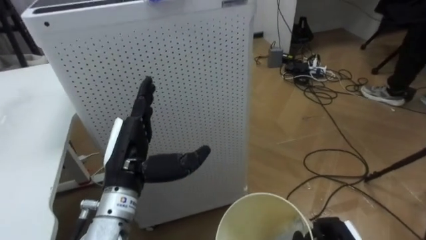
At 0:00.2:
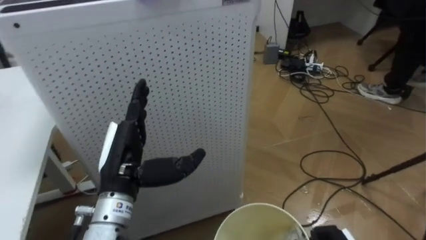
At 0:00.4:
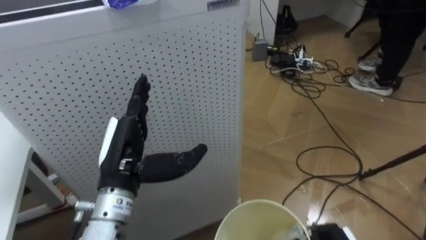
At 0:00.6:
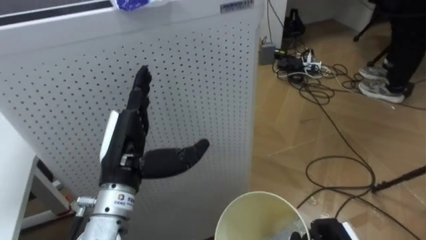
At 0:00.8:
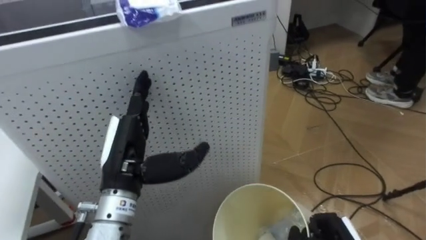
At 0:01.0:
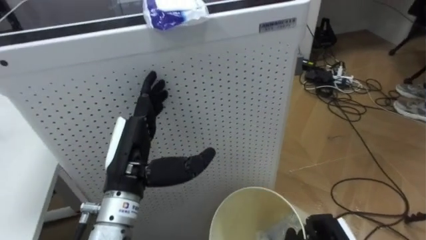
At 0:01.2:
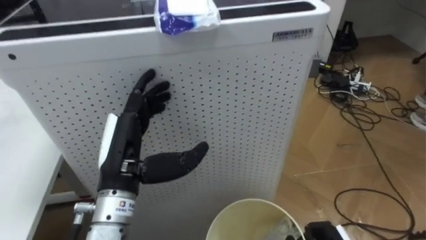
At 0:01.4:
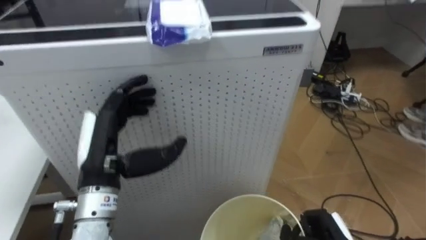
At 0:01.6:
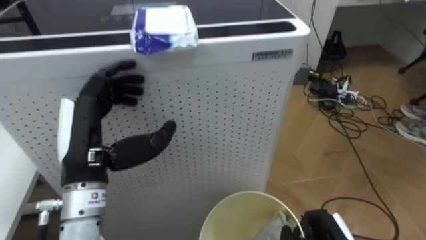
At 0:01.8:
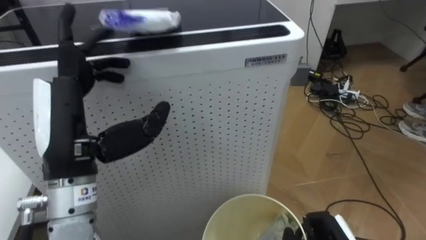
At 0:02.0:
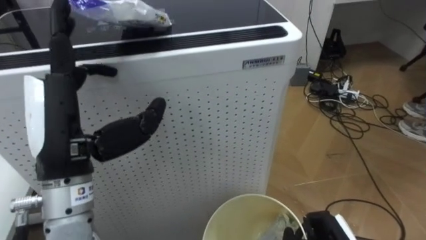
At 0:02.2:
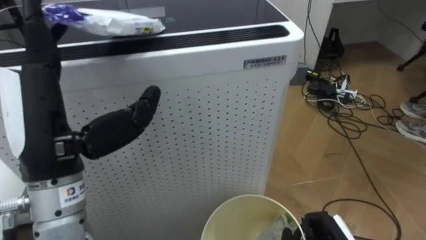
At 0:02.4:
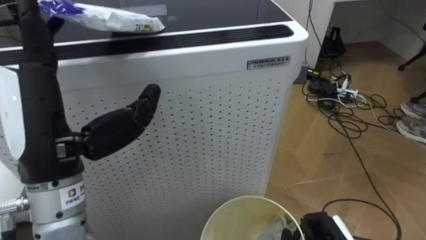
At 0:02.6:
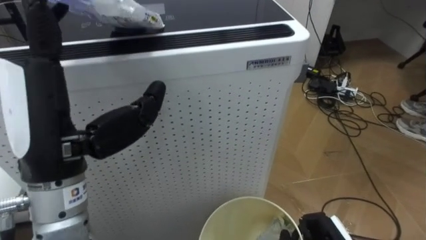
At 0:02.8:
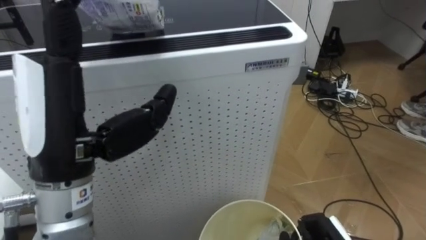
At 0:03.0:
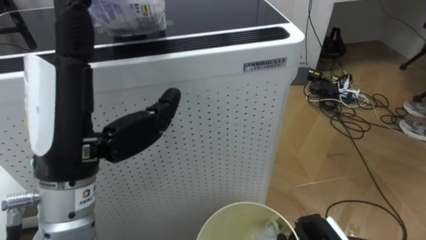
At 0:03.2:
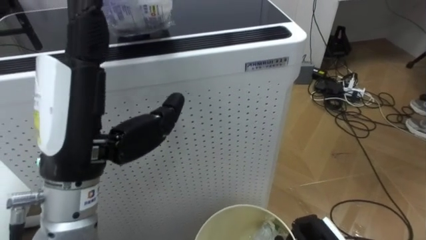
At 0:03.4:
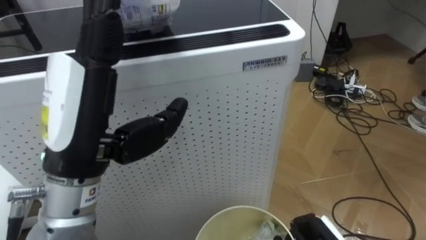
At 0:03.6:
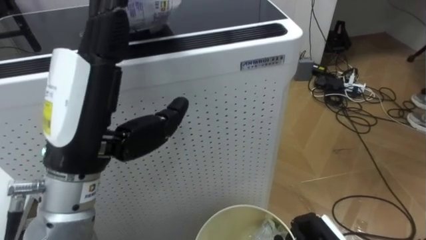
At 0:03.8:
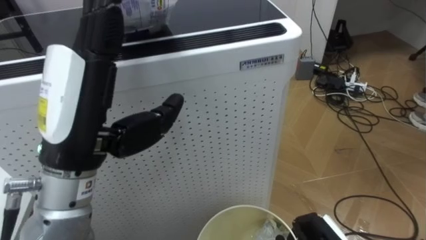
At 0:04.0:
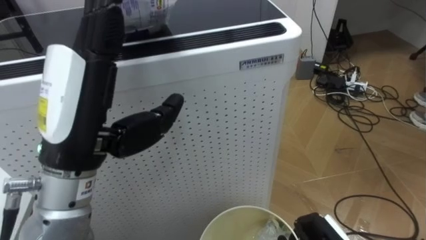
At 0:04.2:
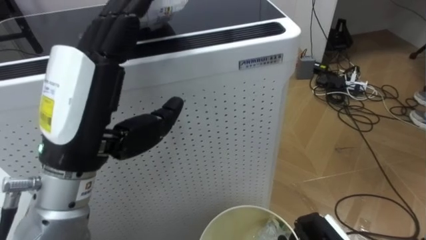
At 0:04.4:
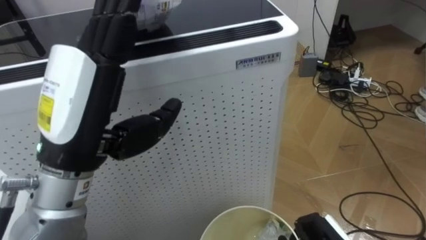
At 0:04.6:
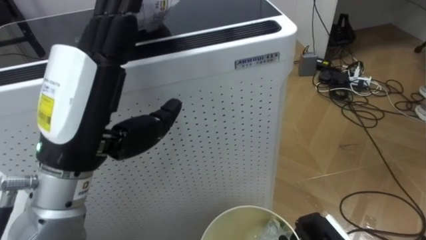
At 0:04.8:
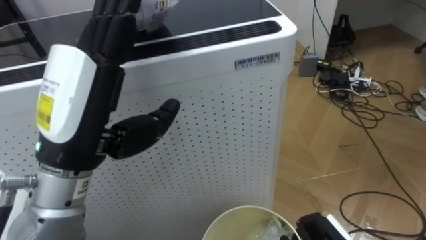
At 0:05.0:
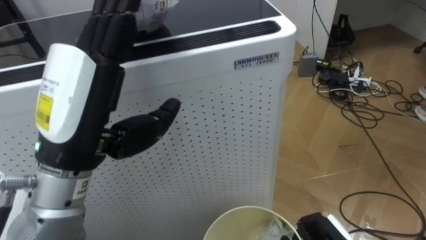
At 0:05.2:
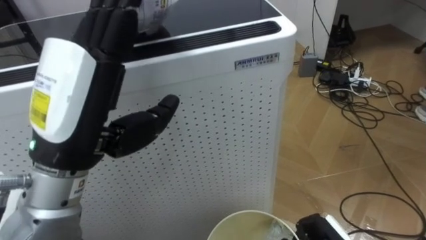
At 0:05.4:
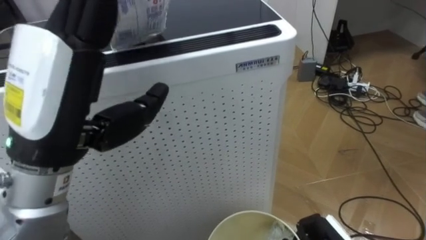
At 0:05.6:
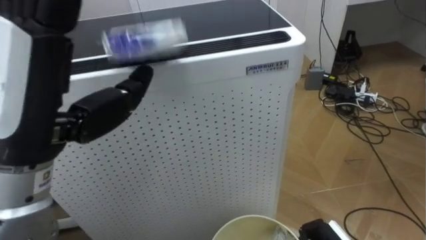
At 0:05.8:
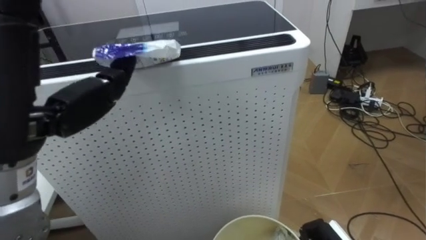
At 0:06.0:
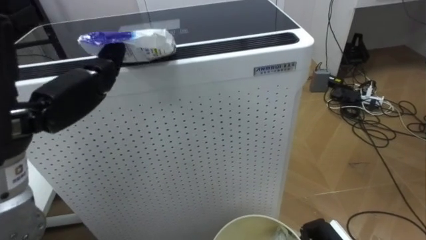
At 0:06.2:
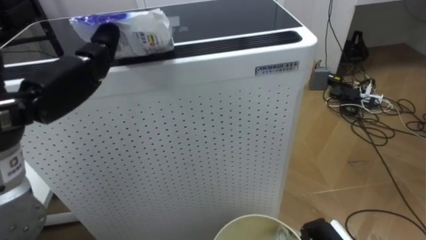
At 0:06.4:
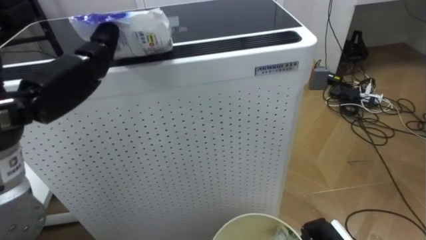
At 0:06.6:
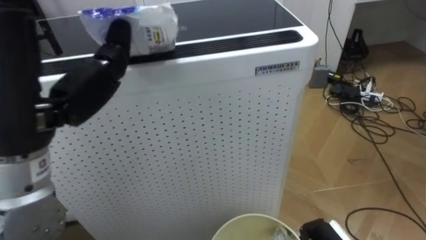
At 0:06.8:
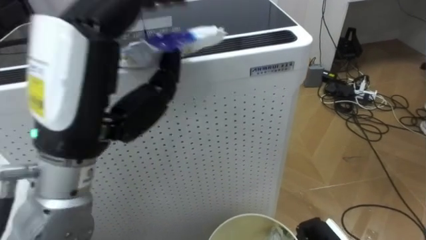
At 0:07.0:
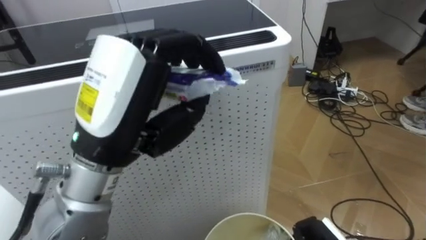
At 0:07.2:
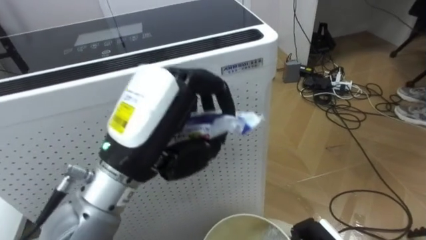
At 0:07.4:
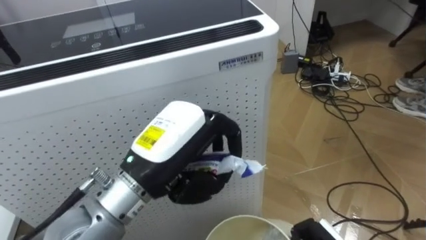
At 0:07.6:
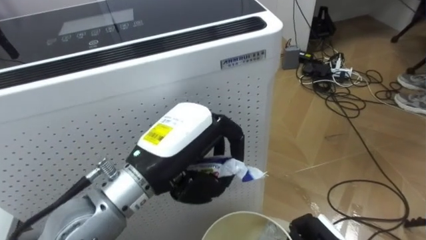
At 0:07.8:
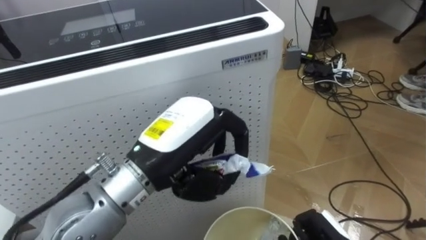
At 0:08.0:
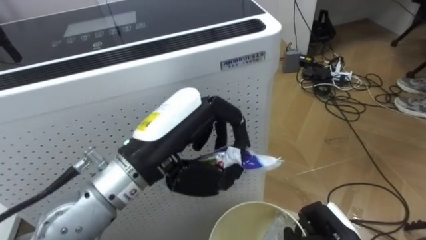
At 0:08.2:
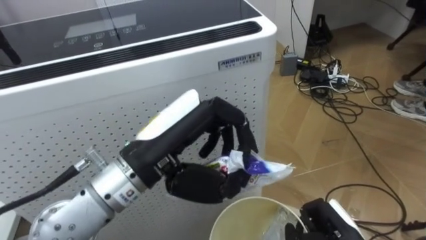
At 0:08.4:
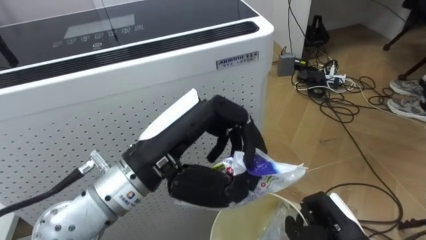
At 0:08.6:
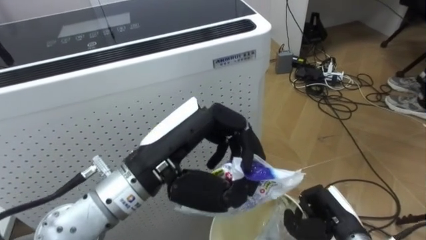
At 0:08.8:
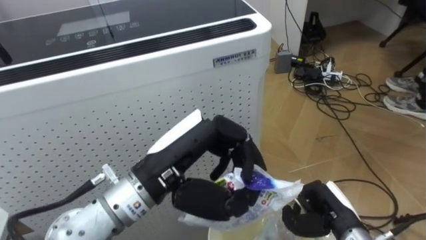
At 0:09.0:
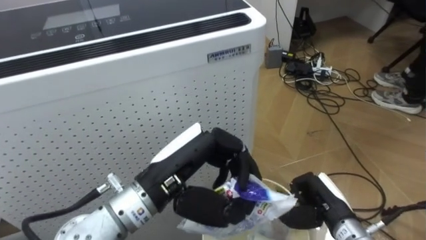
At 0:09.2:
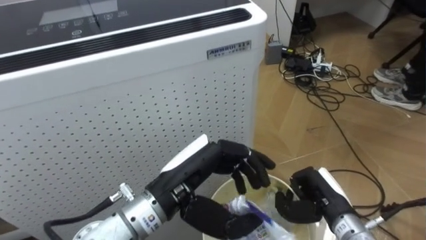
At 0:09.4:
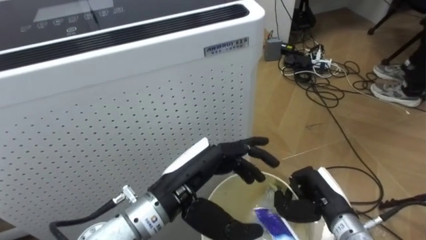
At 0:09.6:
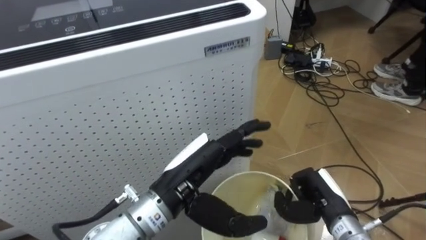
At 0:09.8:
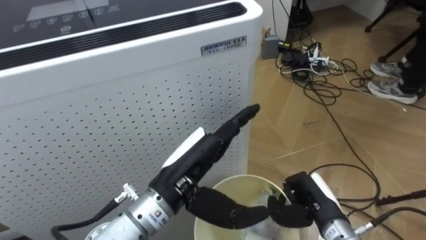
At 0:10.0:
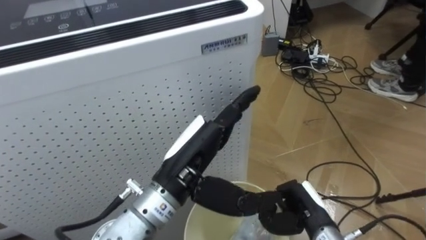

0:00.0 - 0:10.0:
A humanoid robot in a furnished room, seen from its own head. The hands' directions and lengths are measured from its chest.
Task of the whole recording: Pick up the light blue package, the candy box, and the dark blue package separately, and put them into the trash can held in your right hand.
0:01.4 - 0:02.8: The left hand is displaced upward and backward by roughly 15 cm.
0:04.2 - 0:05.8: The left hand moves roughly 5 cm.
0:07.2 - 0:08.6: The left hand changes place by approximately 5 cm.
0:08.6 - 0:10.0: The left hand heads downward, covering roughly 5 cm, and opens its fingers.

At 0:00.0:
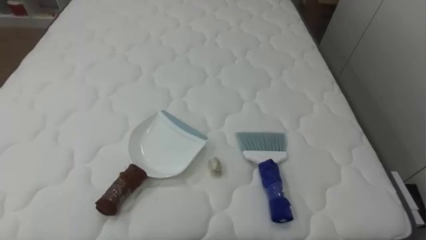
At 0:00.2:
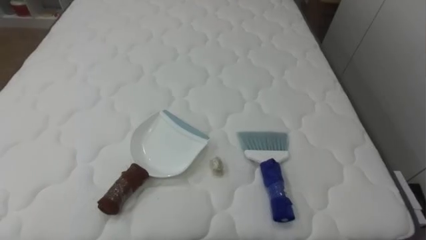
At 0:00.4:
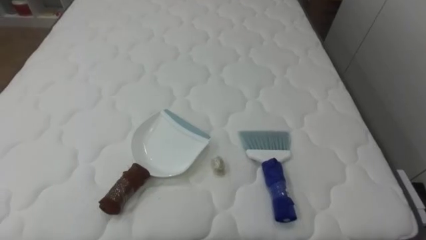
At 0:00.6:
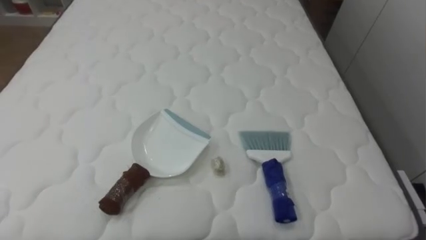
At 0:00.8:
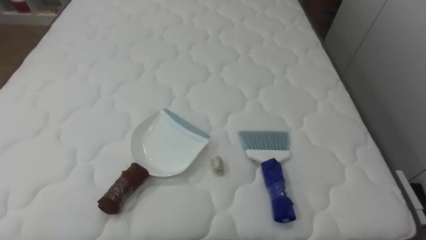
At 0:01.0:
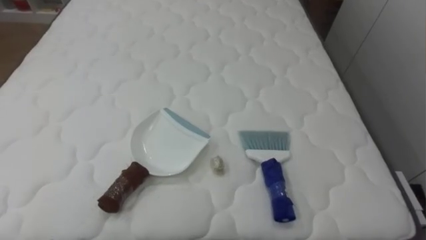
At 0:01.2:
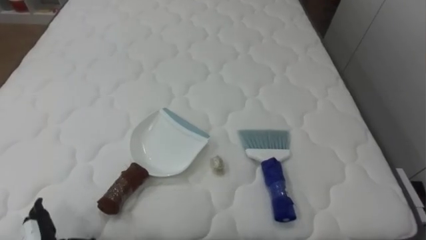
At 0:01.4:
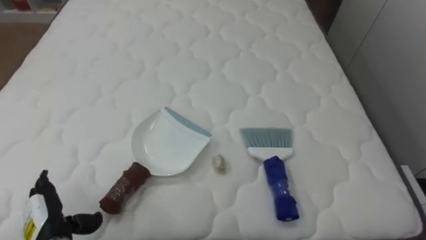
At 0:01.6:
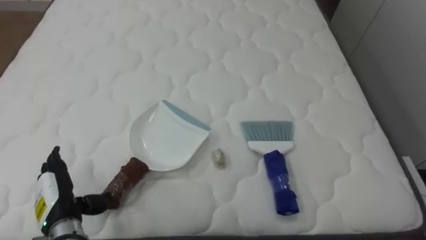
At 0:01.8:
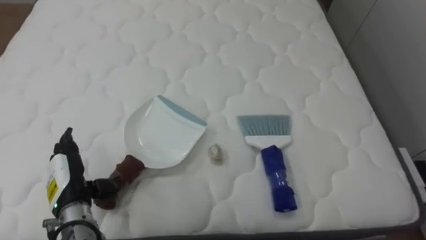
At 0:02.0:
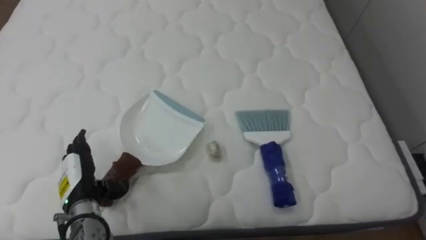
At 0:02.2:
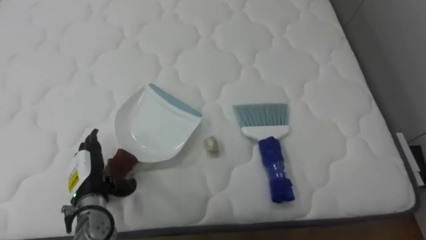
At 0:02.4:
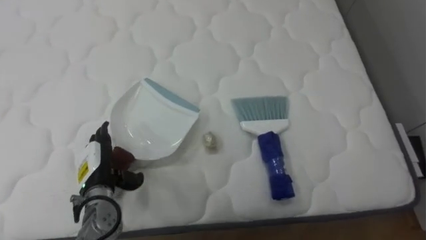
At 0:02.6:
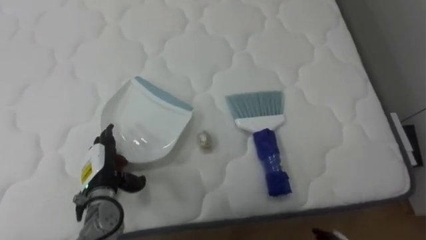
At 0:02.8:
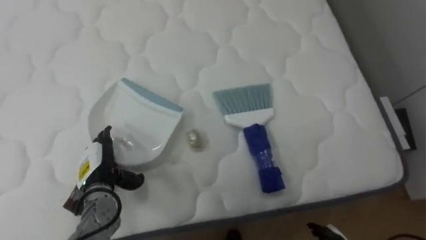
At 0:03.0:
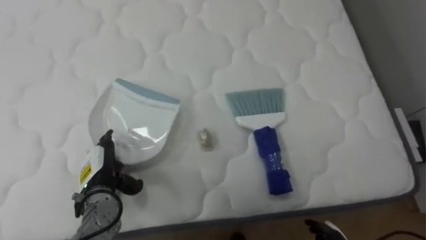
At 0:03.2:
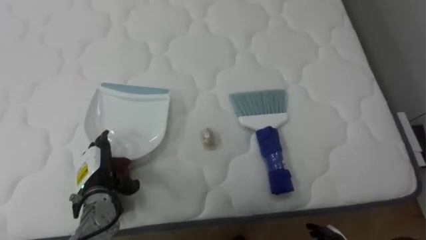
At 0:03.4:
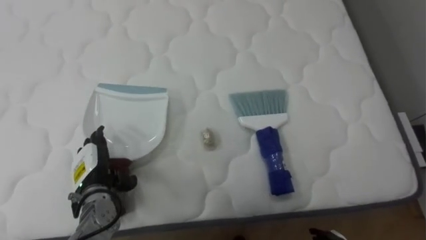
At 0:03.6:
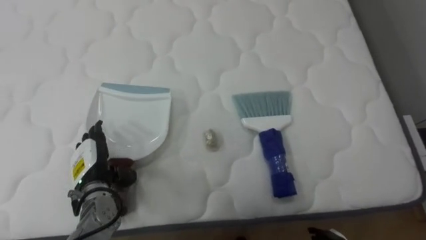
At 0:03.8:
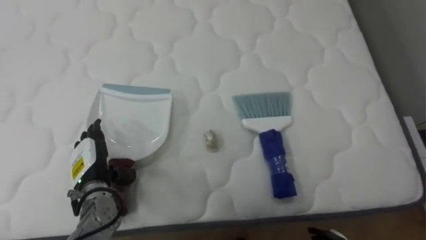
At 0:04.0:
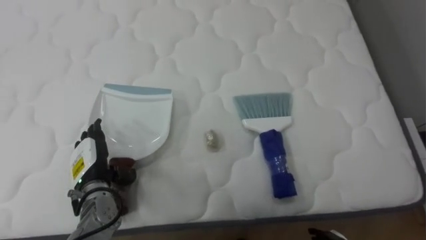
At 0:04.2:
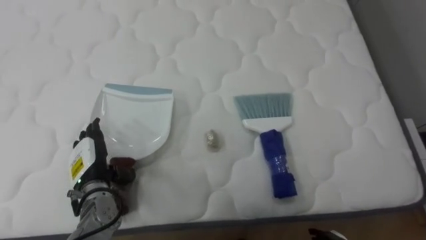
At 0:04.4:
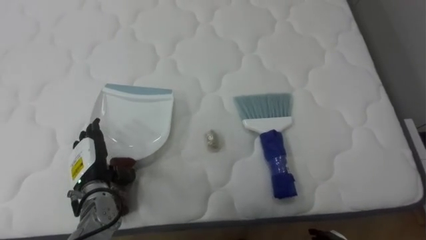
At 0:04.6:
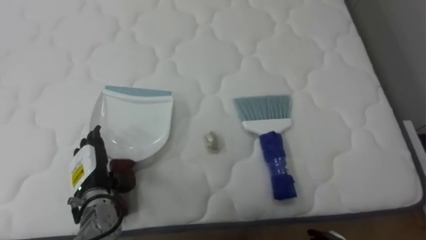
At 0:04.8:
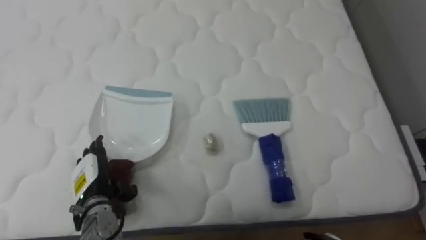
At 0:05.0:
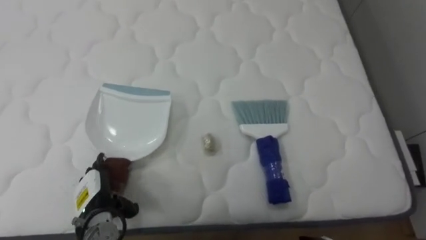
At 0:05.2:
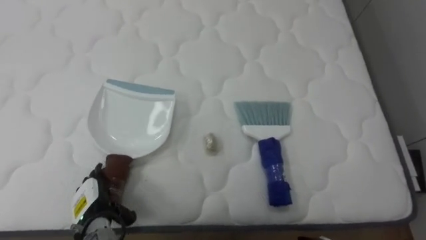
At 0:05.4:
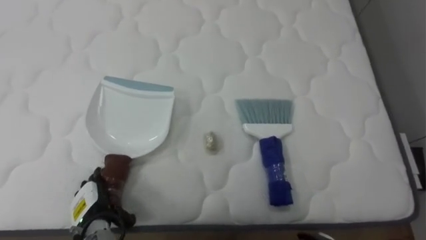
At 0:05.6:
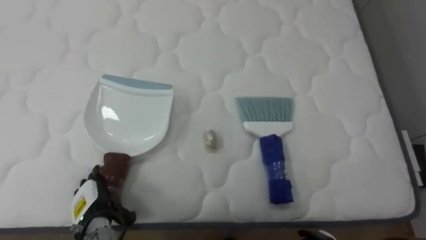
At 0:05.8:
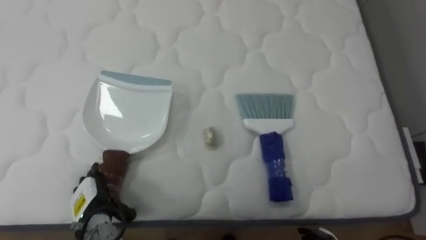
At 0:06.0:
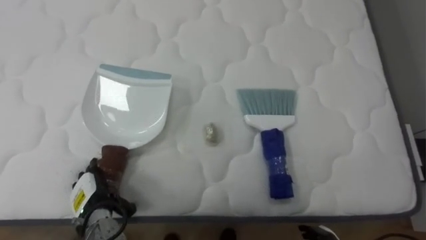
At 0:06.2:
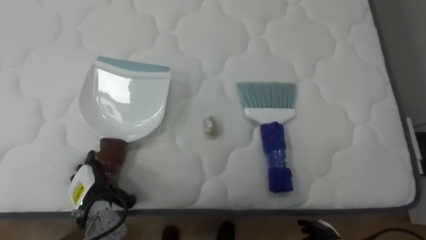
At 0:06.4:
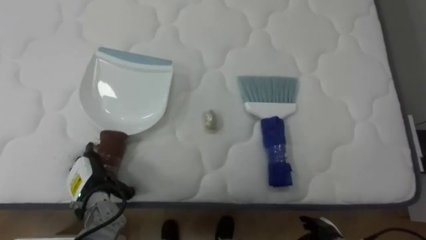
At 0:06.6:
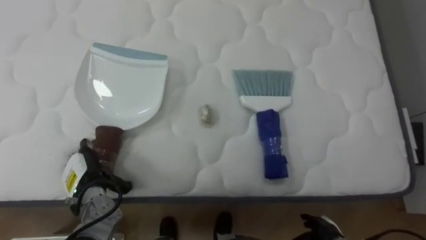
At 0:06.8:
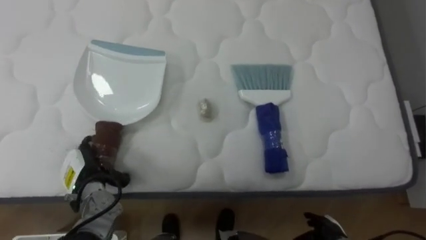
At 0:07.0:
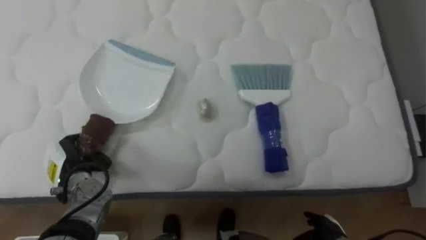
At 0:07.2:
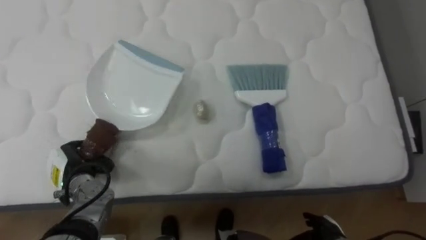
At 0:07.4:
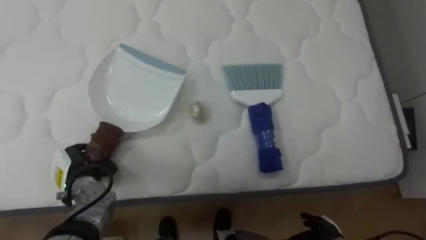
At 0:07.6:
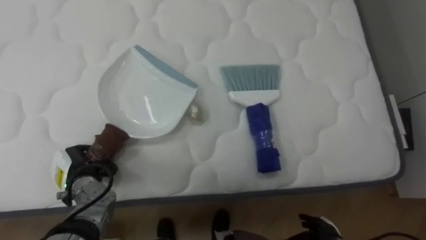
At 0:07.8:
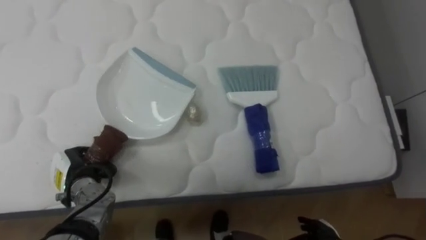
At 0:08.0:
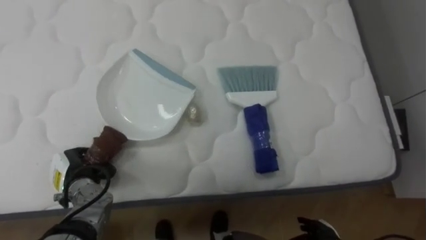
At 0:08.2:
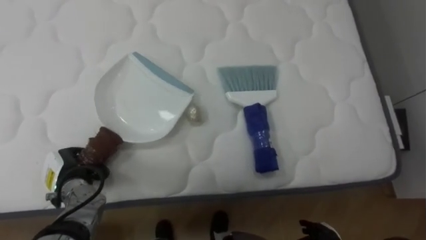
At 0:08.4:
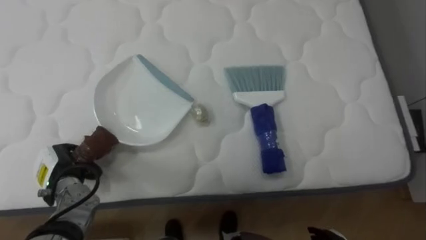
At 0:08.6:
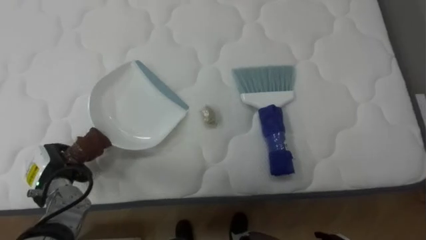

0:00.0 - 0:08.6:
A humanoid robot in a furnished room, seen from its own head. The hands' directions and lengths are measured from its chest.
Task of the whole recording: Pick up the brush on your right and the dustpan on your left. Use the brush to sweep the crumpled paper on the bed into the dustpan, then turn left and empty it into the basket.
0:01.4 - 0:02.8: The left hand moves forward and to the right, some 15 cm.
0:04.4 - 0:05.8: The left hand goes approximately 10 cm downward and backward.
0:05.8 - 0:07.2: The left hand shifts roughly 10 cm forward and upward, and closes.
